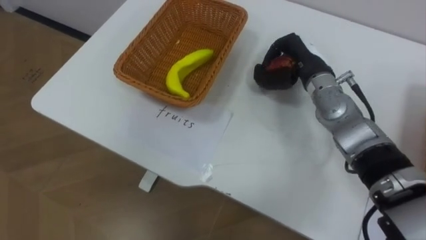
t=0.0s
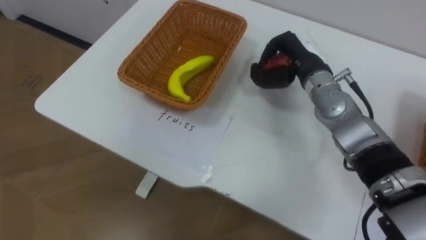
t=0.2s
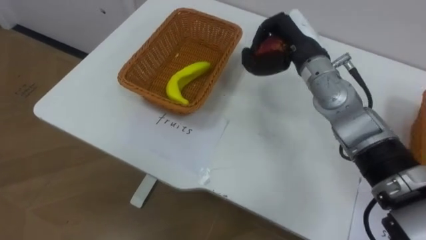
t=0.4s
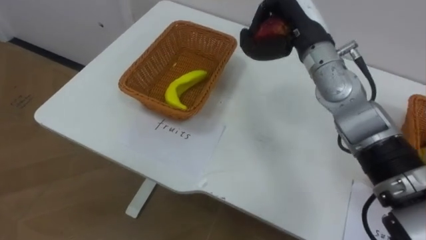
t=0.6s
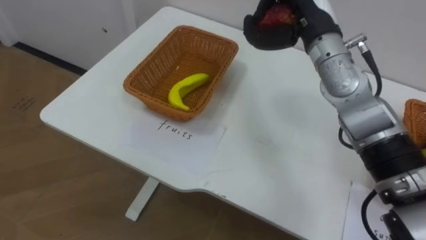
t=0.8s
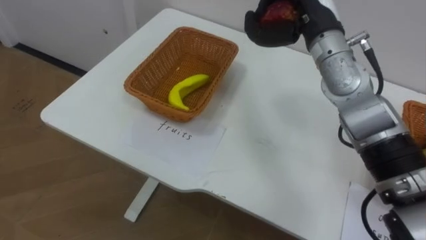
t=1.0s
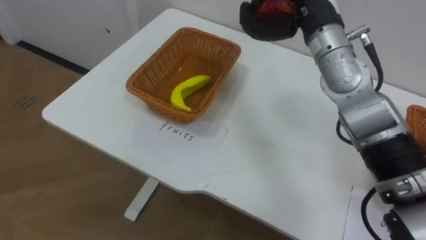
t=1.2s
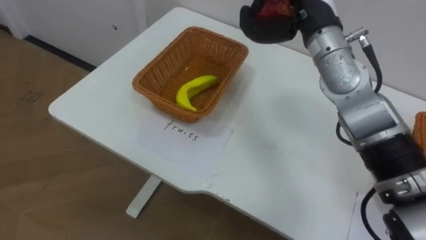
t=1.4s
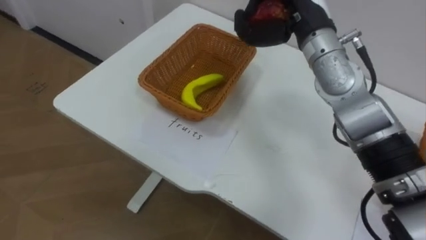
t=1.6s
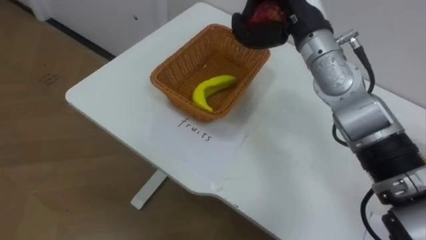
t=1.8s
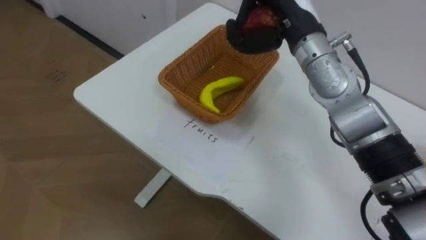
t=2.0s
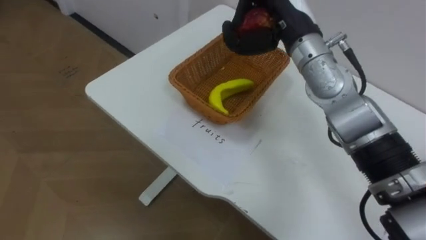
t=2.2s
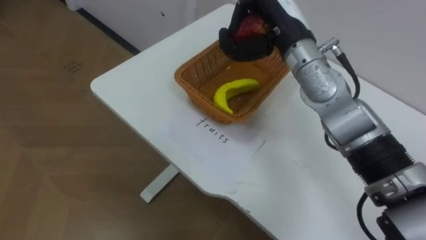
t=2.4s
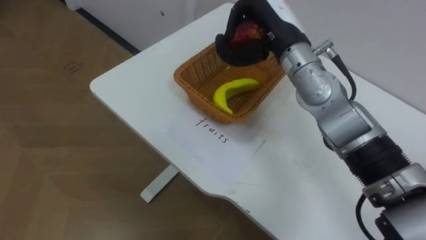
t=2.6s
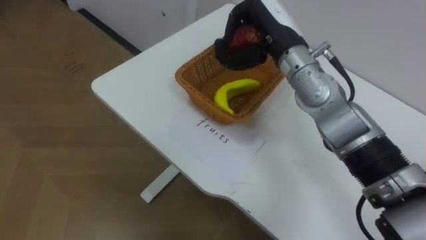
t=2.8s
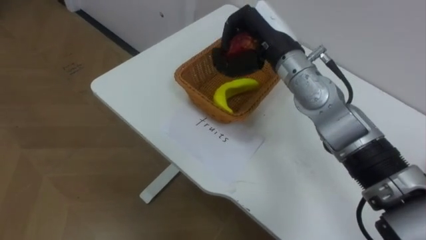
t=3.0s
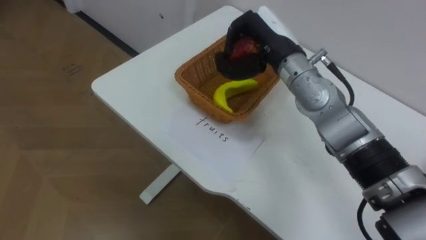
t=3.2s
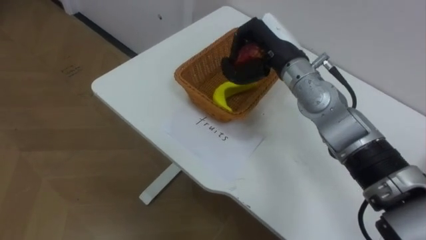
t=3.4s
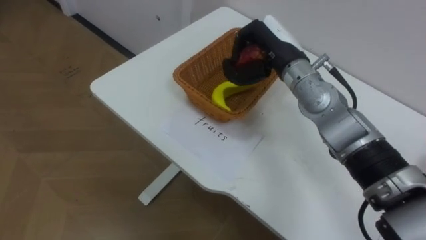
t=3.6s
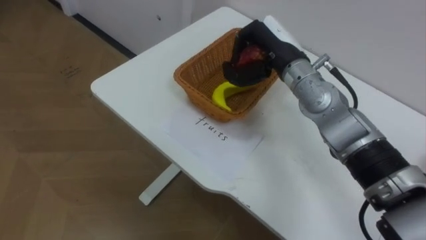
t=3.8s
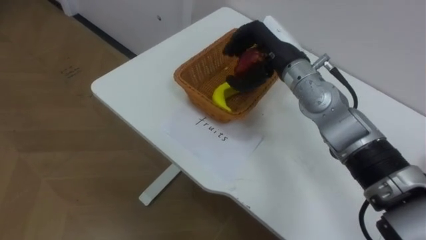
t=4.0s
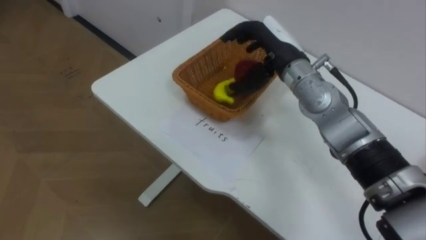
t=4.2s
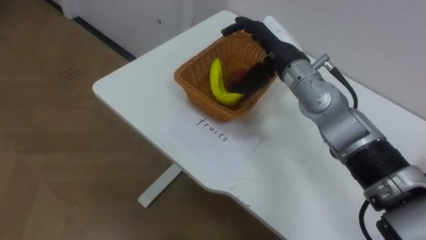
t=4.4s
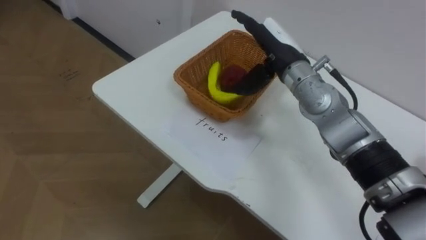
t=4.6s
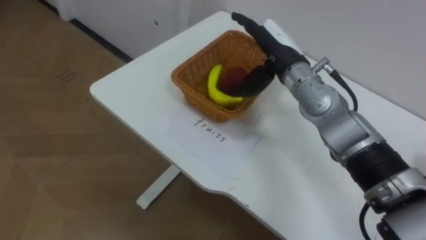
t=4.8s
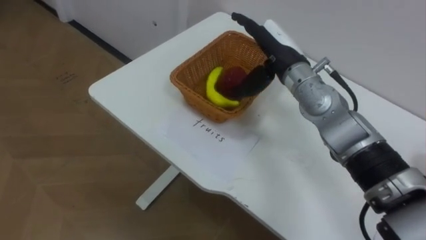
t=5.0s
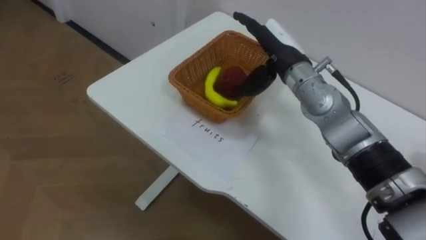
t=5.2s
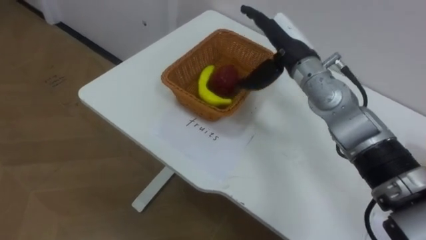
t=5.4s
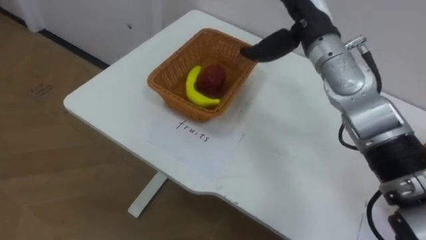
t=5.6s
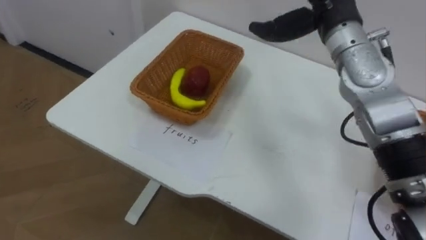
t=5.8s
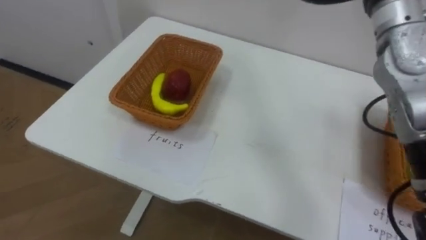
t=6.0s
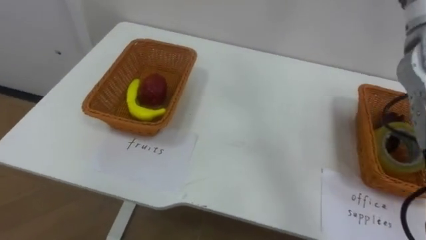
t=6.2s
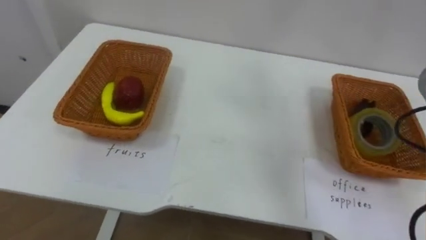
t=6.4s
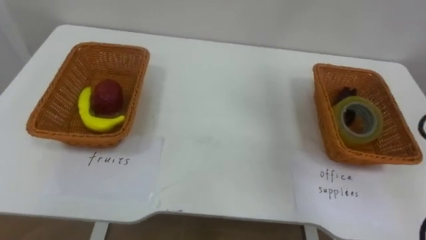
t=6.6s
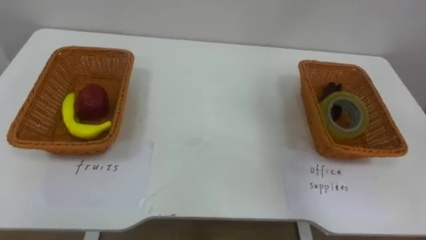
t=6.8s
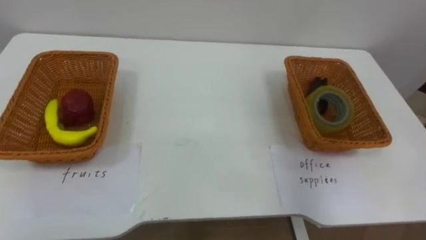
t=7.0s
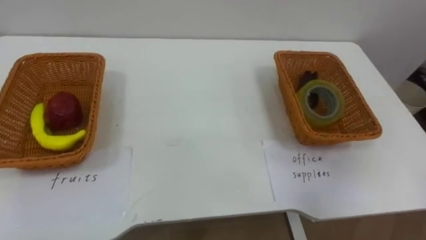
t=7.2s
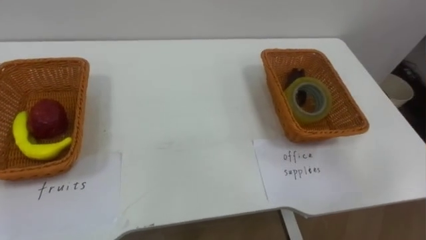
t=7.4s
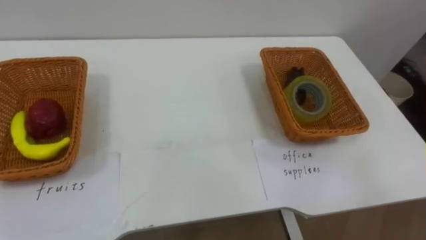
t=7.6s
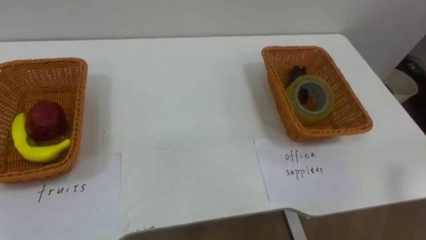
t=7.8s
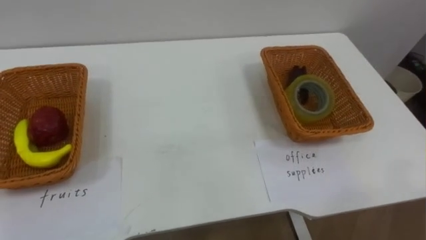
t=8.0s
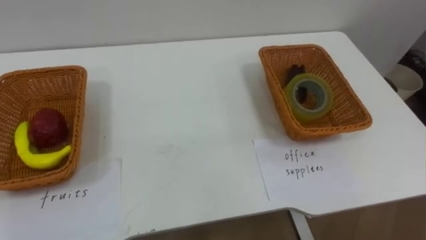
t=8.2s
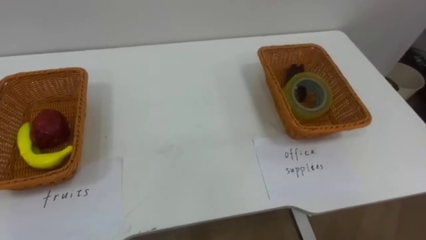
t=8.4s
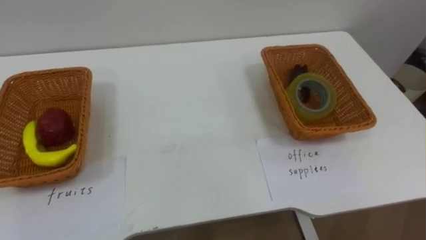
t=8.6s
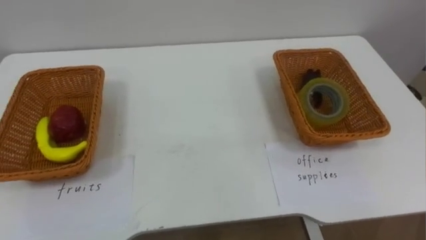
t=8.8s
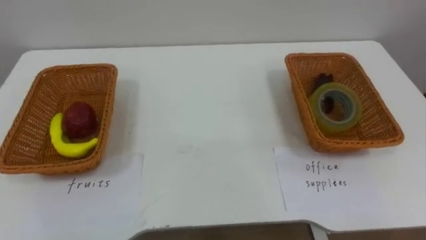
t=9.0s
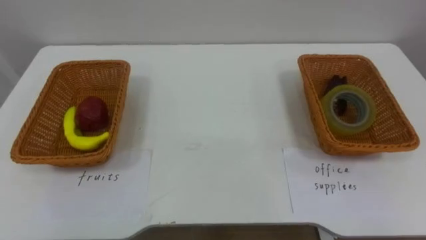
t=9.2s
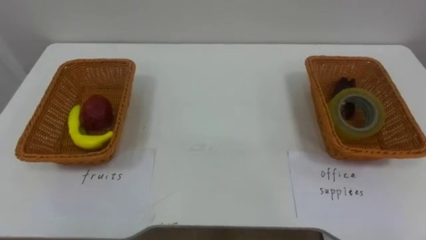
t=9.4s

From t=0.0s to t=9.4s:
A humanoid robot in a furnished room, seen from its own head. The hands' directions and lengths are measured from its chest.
Task of the whole recording: Separate the items on the table and place them into the two baskets.
From t=0.0s to t=1.6s: The right hand goes about 10 cm upward.
From t=1.6s to t=3.2s: The right hand heads downward, covering approximately 5 cm.
From t=3.2s to t=4.8s: The right hand opens its fingers.

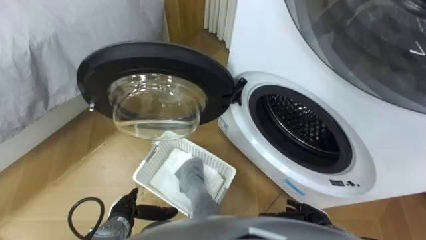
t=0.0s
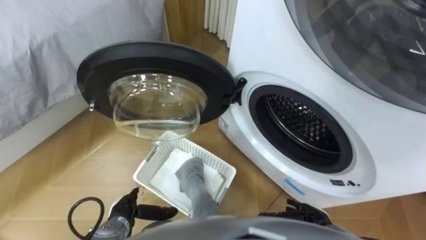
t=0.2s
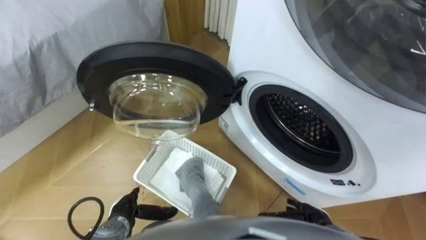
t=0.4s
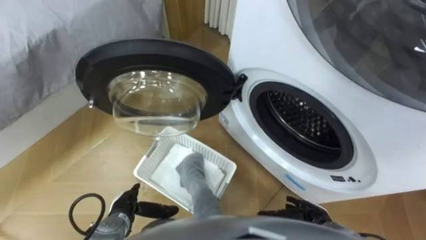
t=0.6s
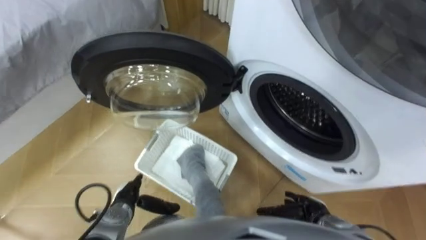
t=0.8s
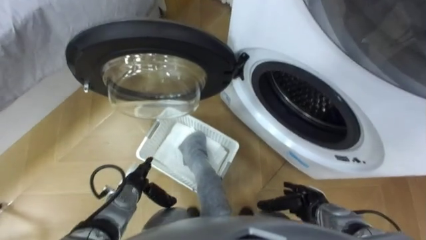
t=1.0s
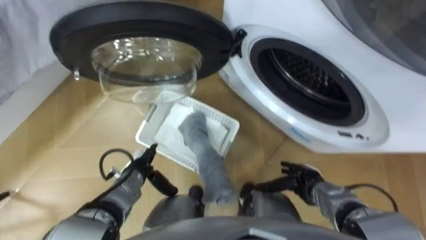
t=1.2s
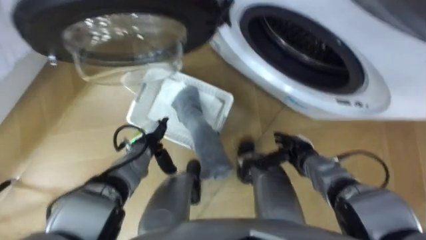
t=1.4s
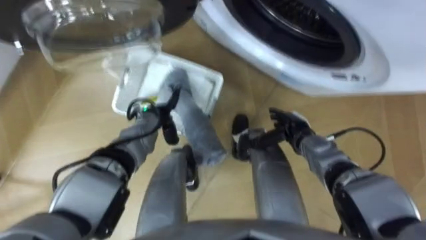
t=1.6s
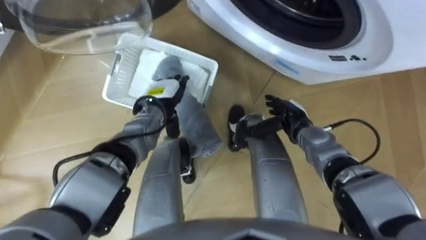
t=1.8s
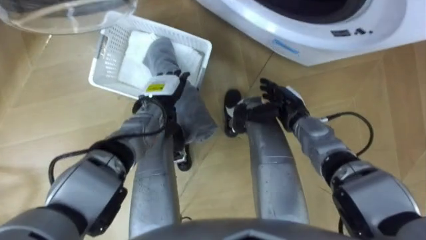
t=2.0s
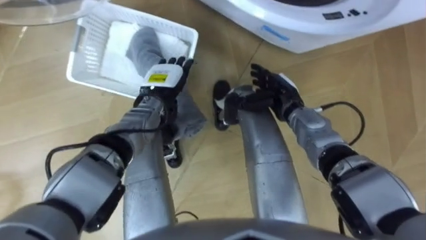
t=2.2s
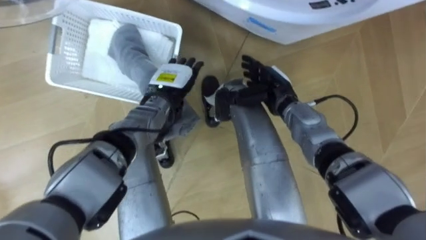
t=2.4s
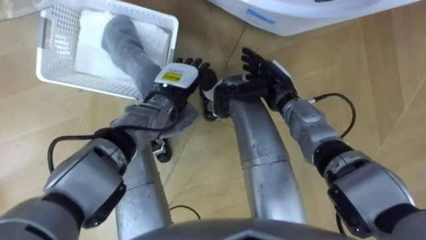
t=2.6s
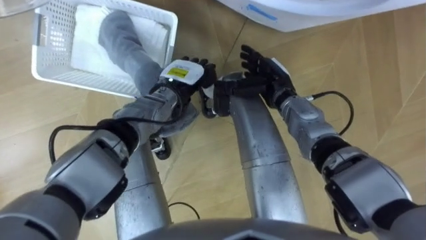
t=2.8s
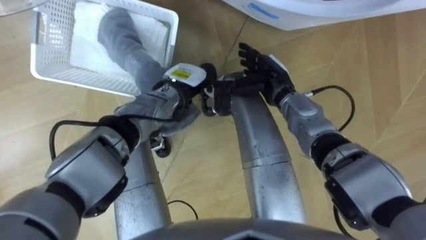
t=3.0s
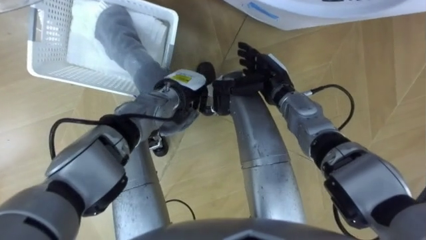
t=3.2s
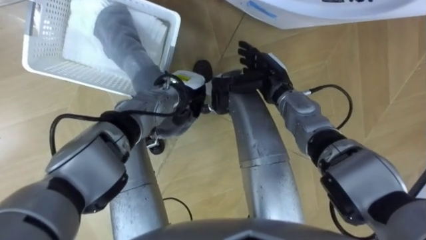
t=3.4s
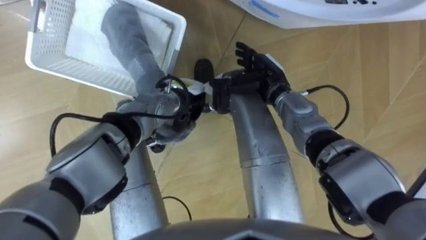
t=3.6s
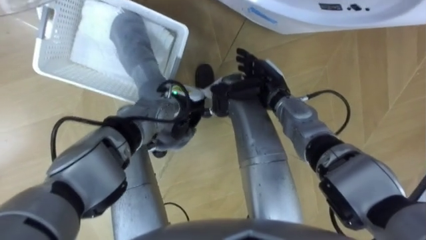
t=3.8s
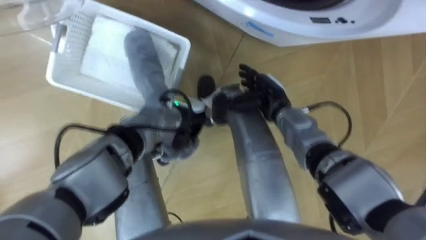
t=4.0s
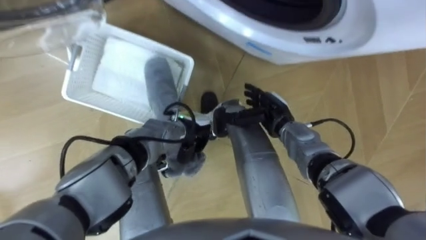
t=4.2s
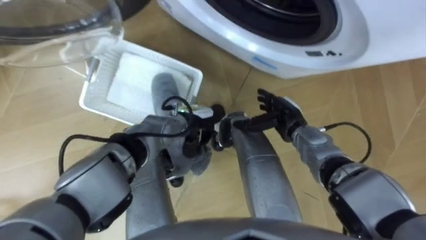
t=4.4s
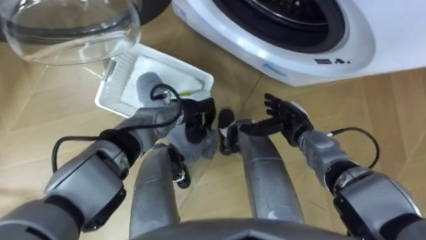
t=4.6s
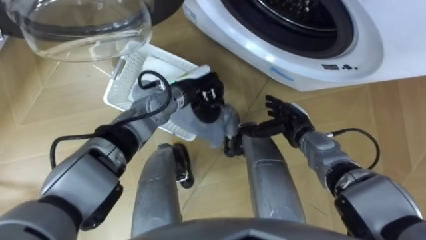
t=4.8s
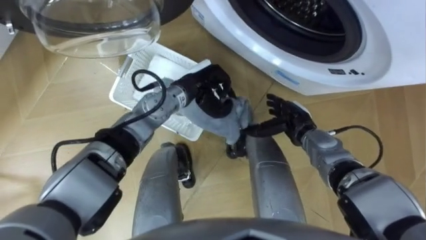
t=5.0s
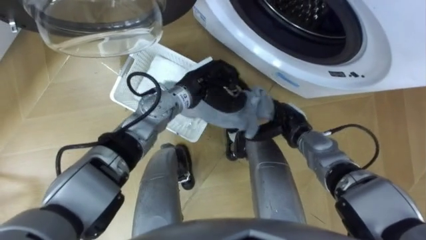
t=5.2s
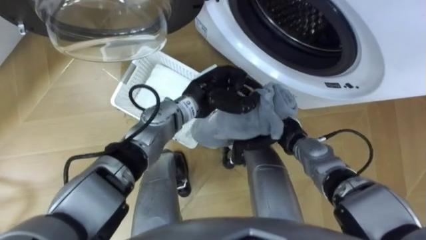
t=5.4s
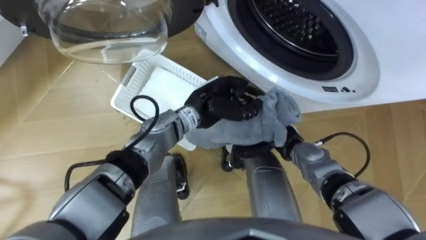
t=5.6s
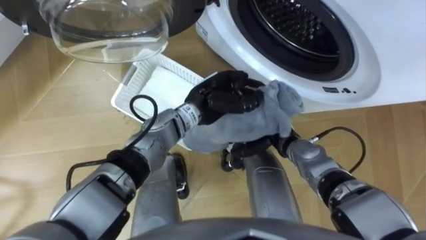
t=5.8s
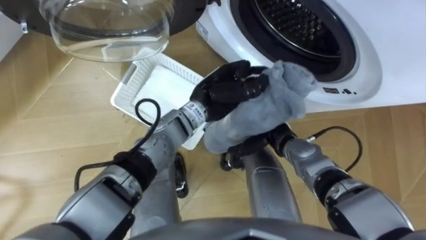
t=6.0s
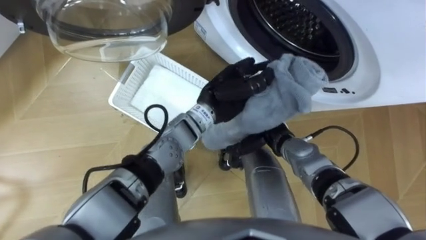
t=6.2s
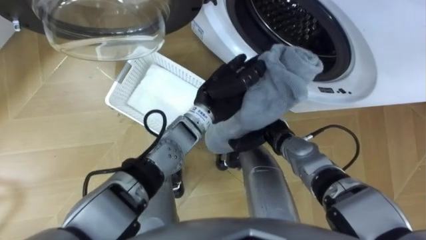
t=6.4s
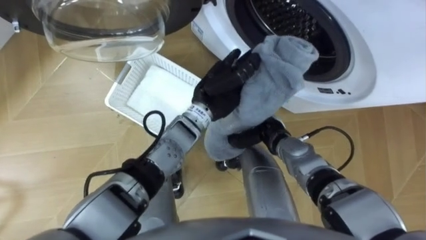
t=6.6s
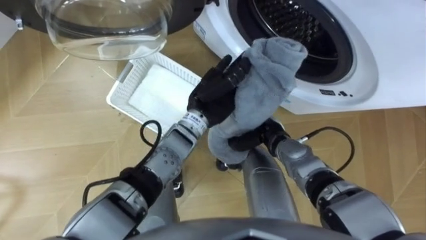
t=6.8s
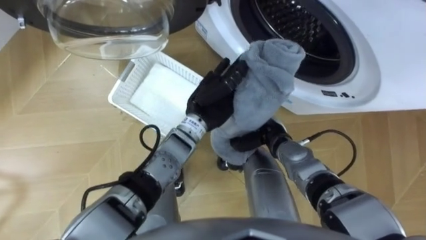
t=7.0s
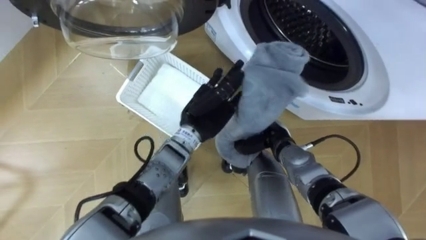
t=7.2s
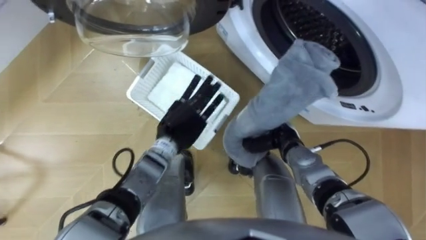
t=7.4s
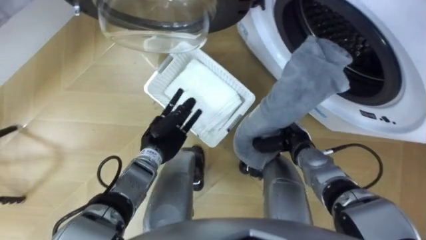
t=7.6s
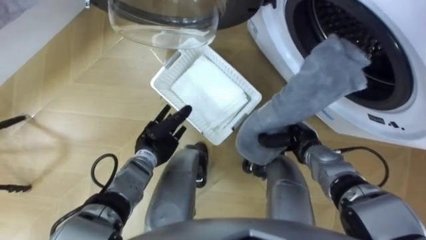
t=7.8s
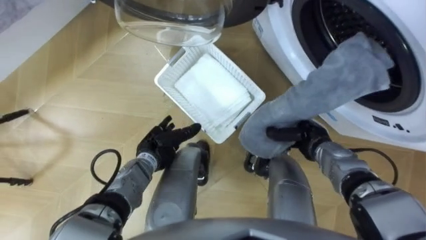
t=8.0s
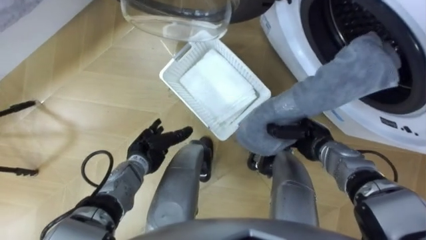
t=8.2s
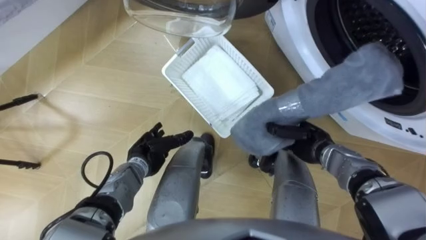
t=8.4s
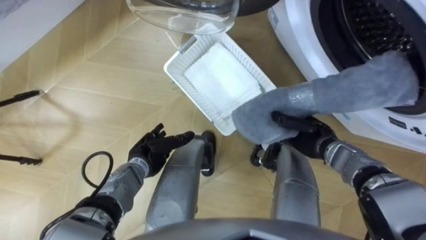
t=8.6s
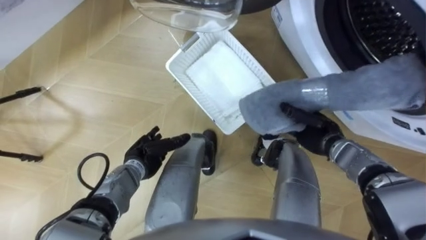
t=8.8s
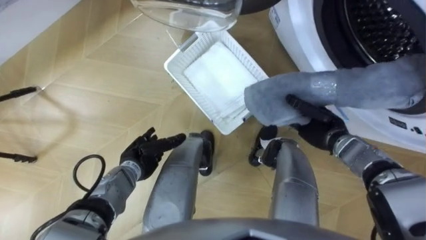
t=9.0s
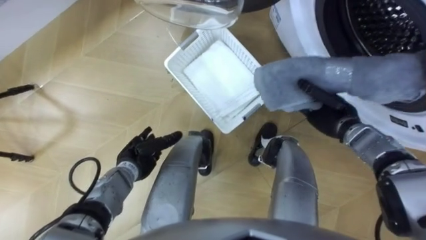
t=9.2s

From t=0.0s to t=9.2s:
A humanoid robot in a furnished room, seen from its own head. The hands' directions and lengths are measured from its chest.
Task of the whole recording: Take the towel from the basket and put it into the washing machine.
From t=1.6s to t=3.0s: The left hand heads to the right and upward, covering about 10 cm. The right hand moves upward, forward and to the left, roughly 15 cm.
From t=3.0s to t=4.6s: The left hand closes its fingers, while the right hand moves downward, backward and to the right, about 10 cm.
From t=4.6s to t=6.2s: The left hand goes roughly 10 cm upward and to the right.
From t=6.2s to t=7.6s: The right hand shifts some 5 cm to the right, and closes; the left hand is displaced to the left and downward by roughly 20 cm, and opens up.
From t=7.6s to t=9.2s: The left hand heads to the left, covering roughly 5 cm; the right hand heads to the right and upward, covering some 10 cm.
